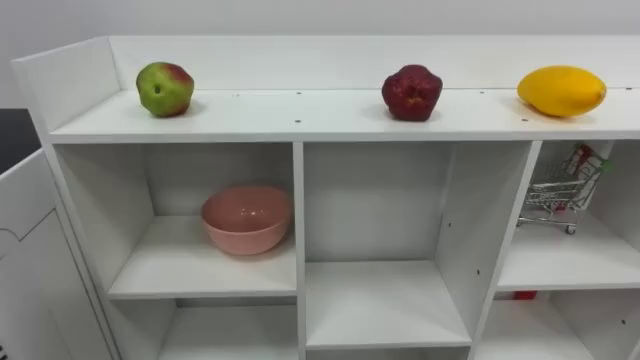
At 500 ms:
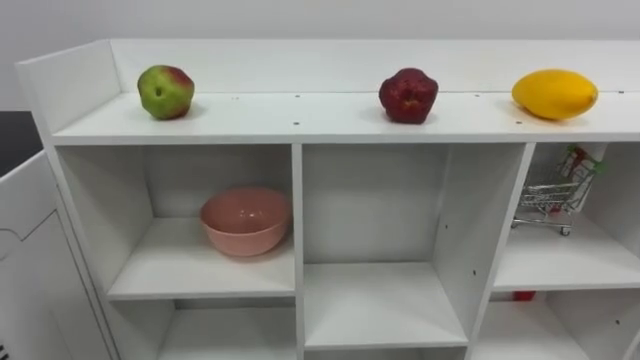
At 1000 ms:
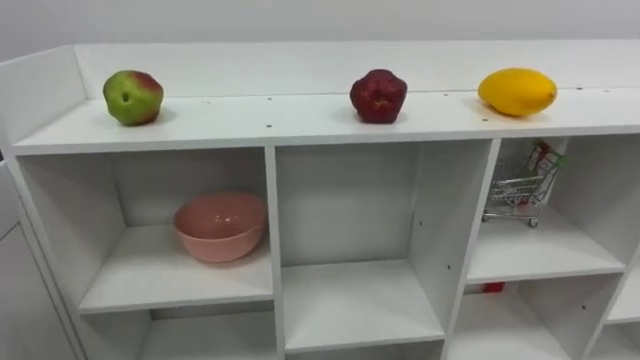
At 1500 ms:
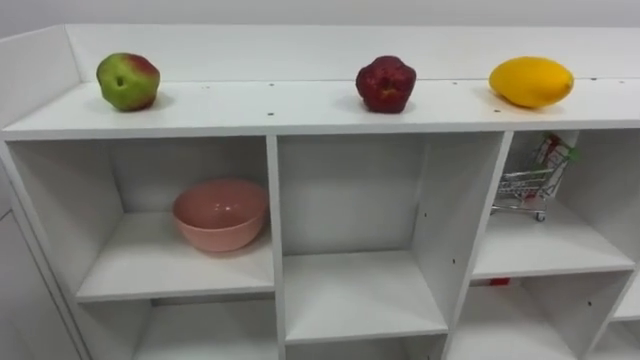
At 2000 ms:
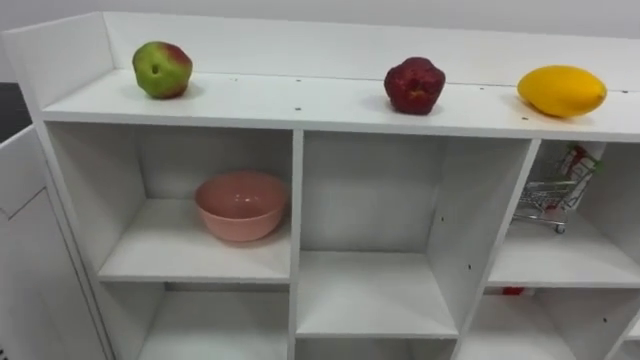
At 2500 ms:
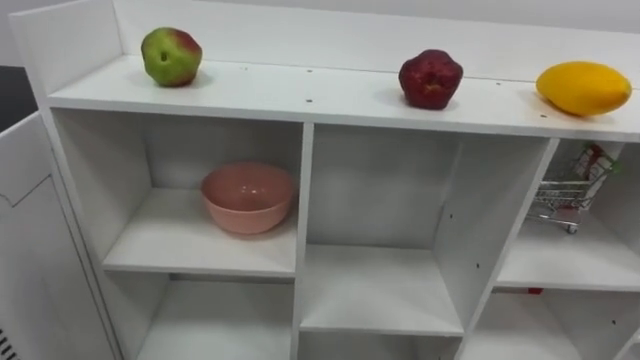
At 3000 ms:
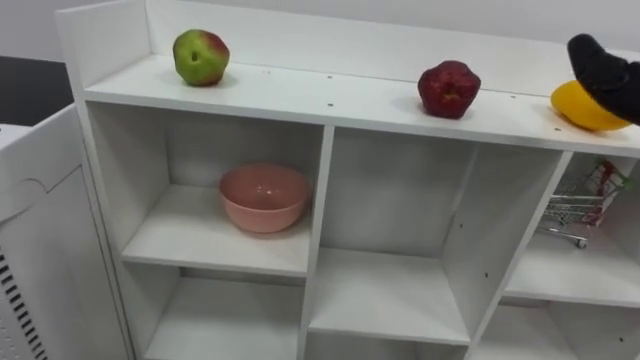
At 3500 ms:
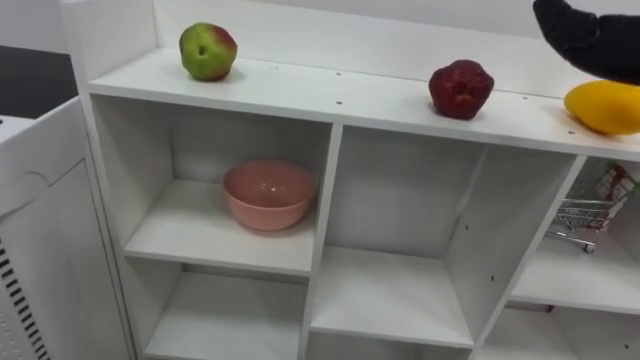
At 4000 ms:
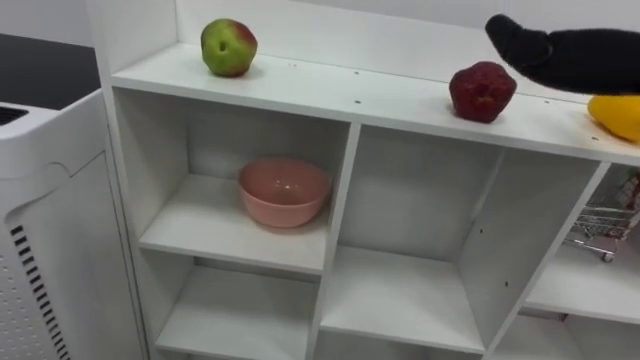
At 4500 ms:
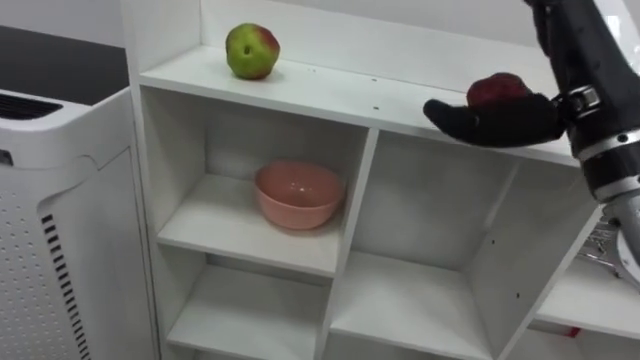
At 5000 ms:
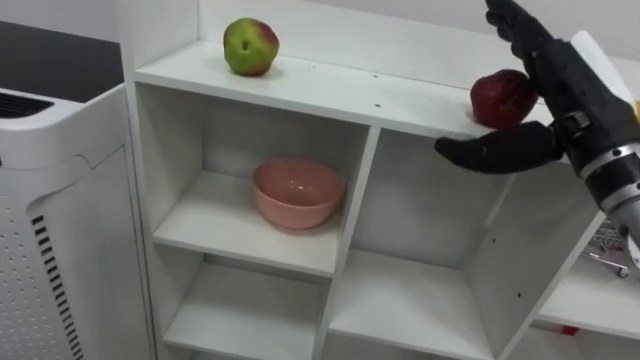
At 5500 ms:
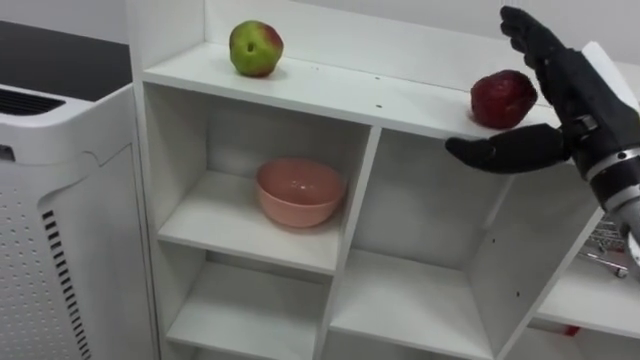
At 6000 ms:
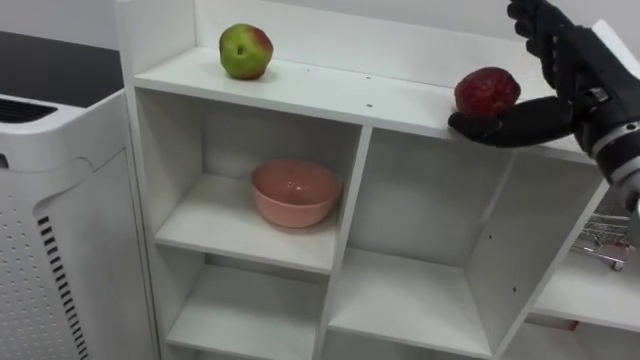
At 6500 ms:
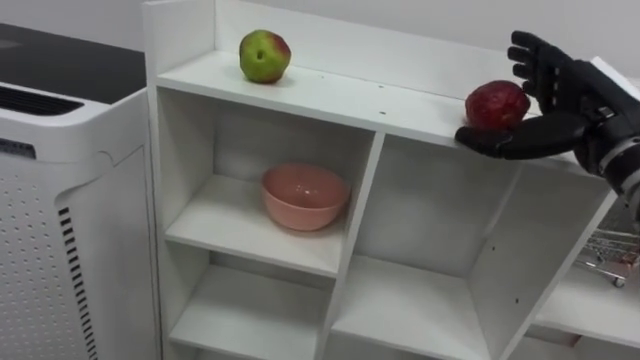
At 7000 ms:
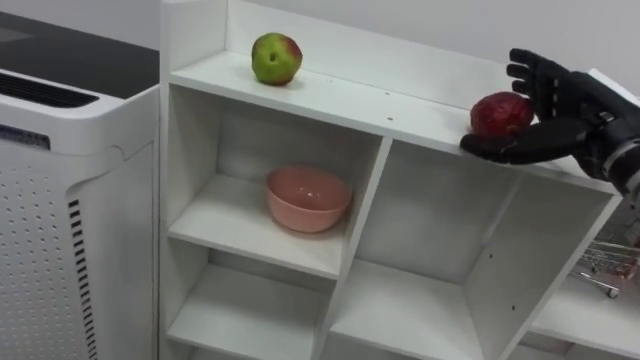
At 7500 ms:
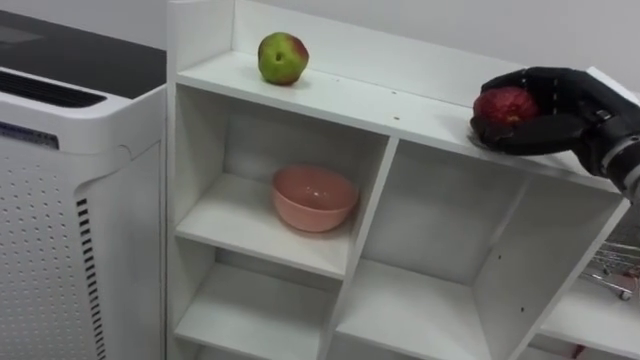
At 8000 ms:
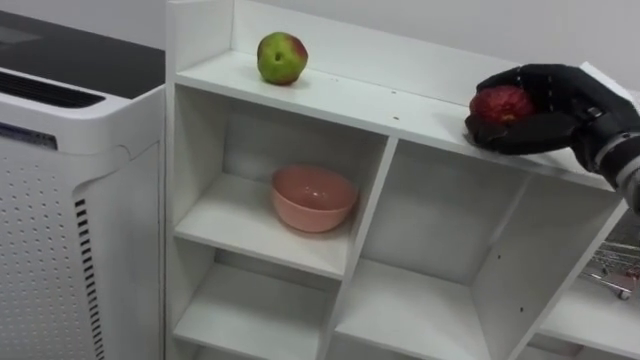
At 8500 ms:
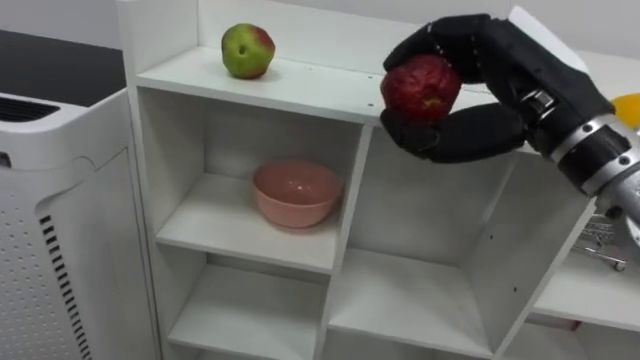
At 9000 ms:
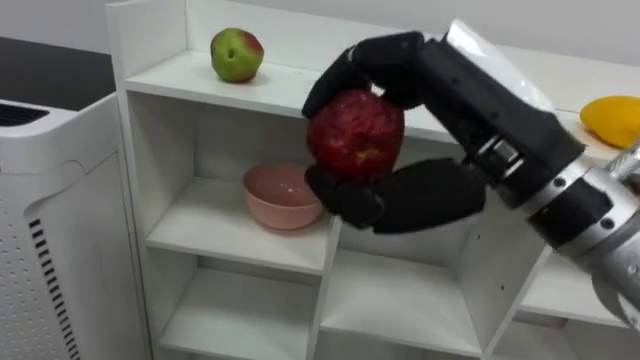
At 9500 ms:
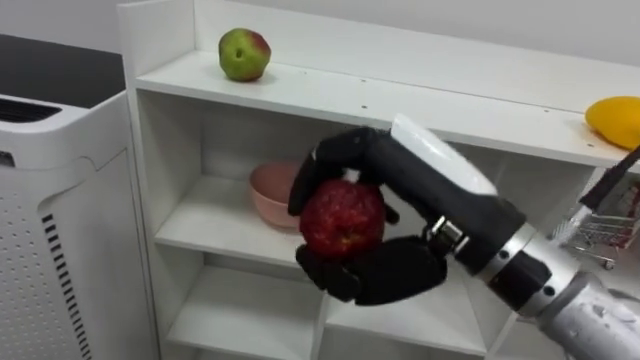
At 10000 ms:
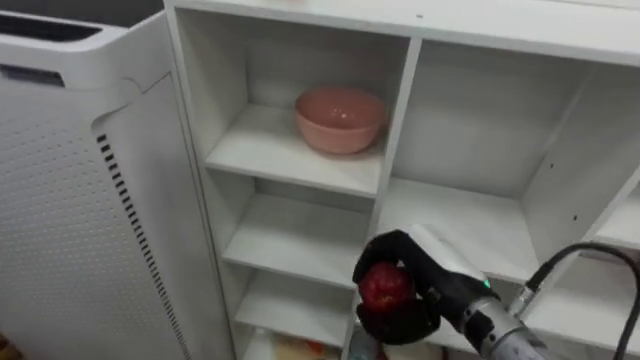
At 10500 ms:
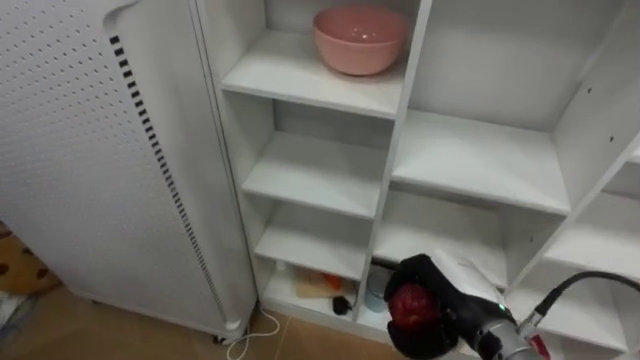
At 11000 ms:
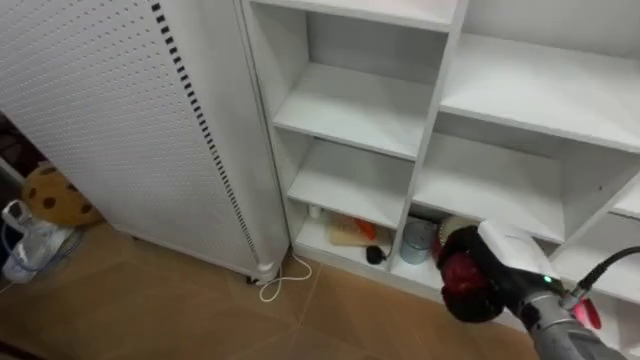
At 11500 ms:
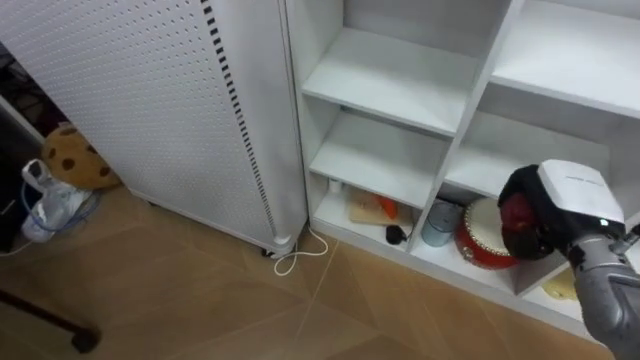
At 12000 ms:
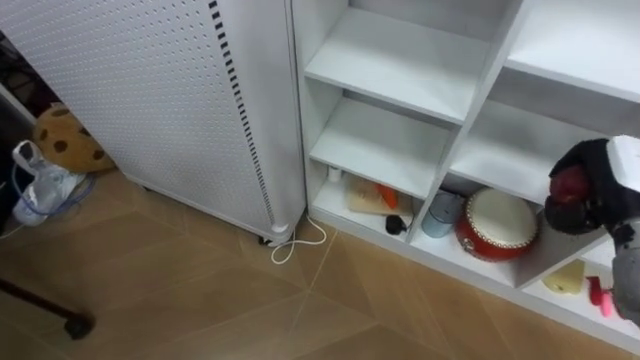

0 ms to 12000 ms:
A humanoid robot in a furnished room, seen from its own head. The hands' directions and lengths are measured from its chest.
Task of the whole recording: Put the apple in the cell in the second column from the left and the second row from the top.
6000 ms to 8000 ms: The right hand moves approximately 5 cm, and closes up.
8000 ms to 10000 ms: The right hand goes some 20 cm downward, to the left and backward.
10000 ms to 12000 ms: The right hand moves to the right, some 20 cm.

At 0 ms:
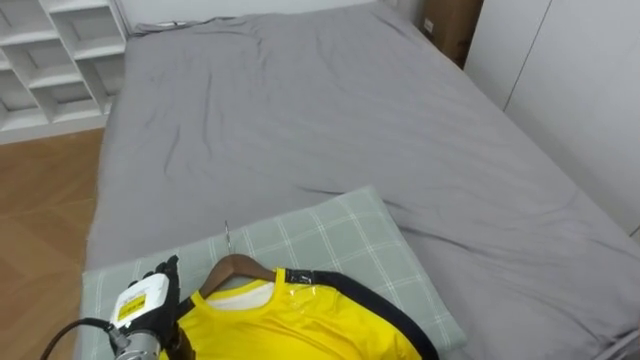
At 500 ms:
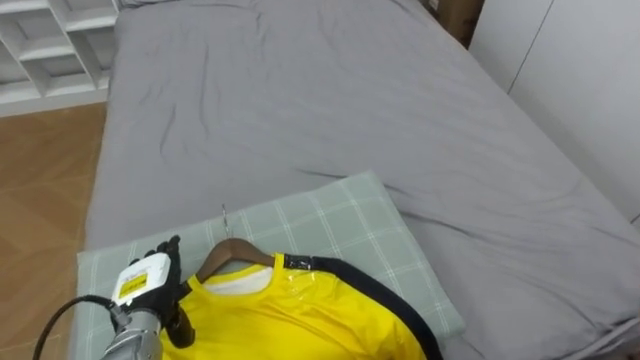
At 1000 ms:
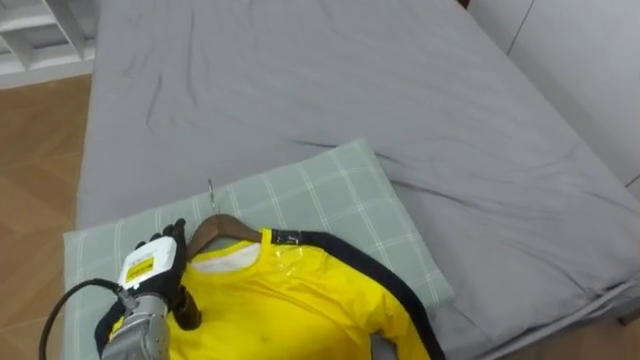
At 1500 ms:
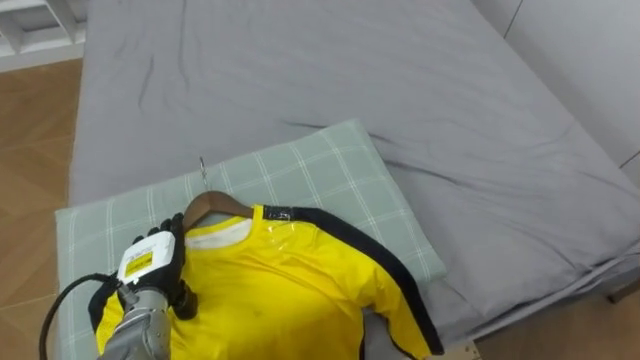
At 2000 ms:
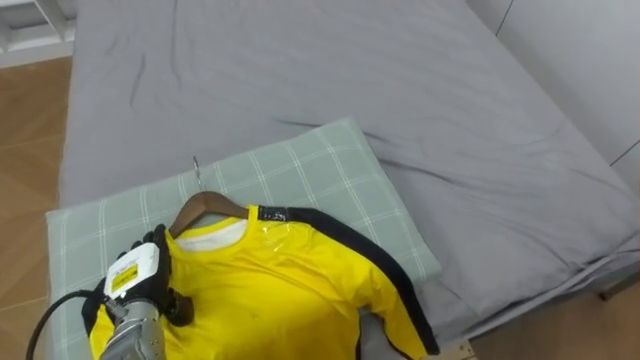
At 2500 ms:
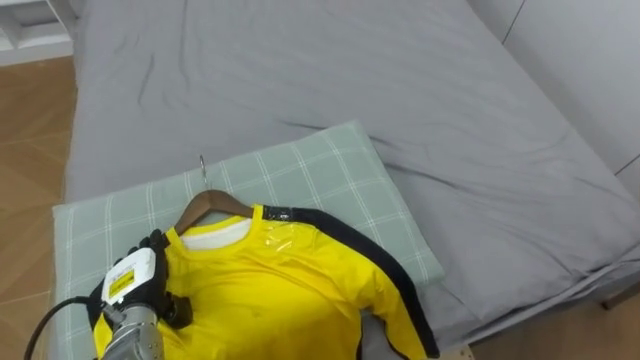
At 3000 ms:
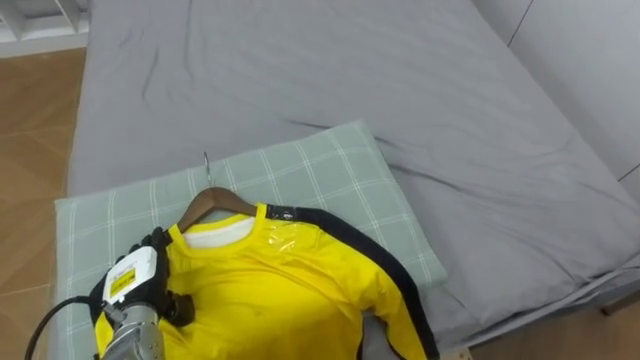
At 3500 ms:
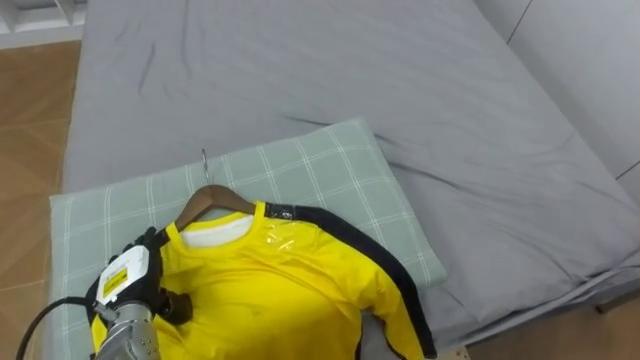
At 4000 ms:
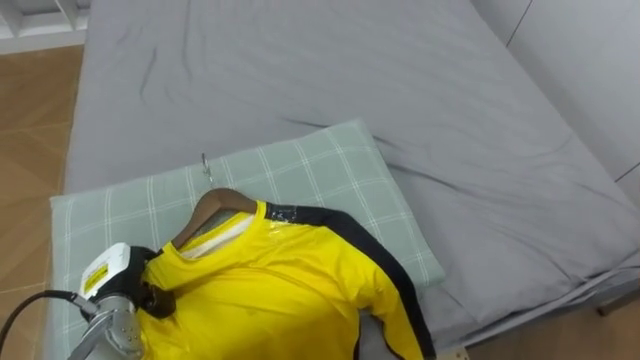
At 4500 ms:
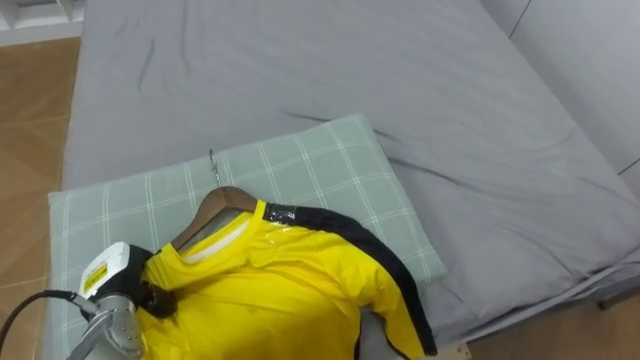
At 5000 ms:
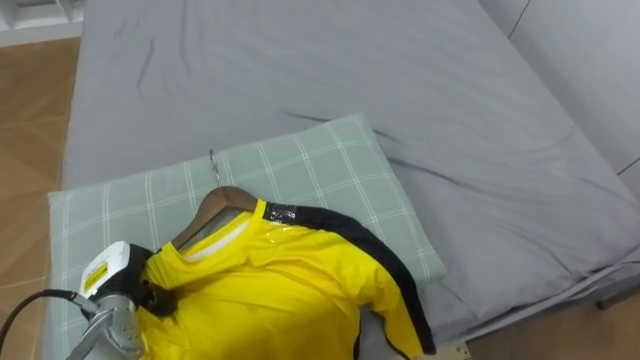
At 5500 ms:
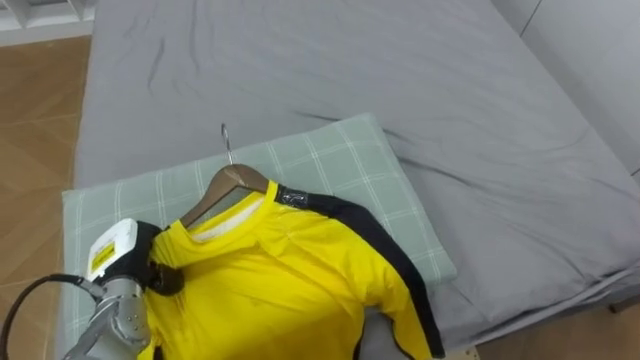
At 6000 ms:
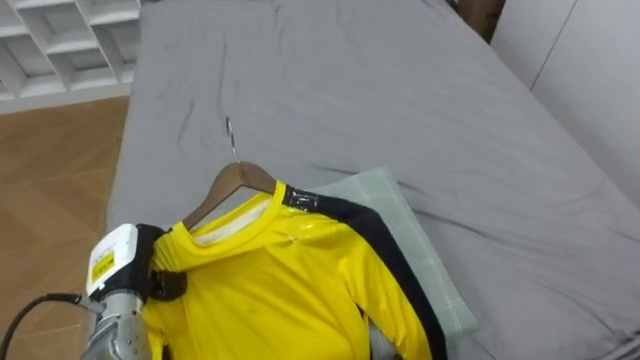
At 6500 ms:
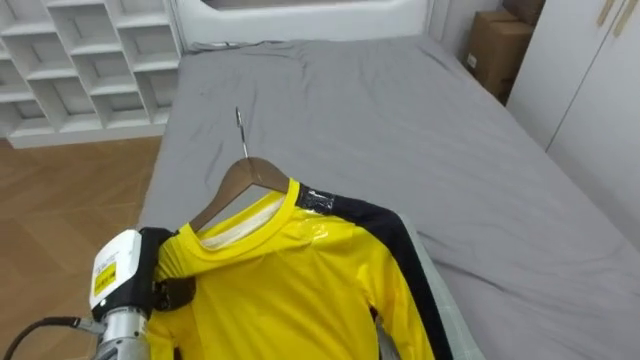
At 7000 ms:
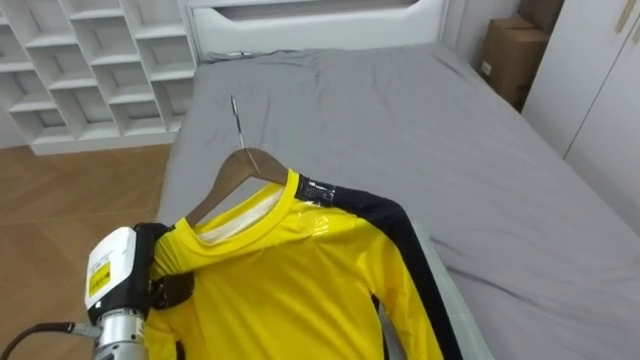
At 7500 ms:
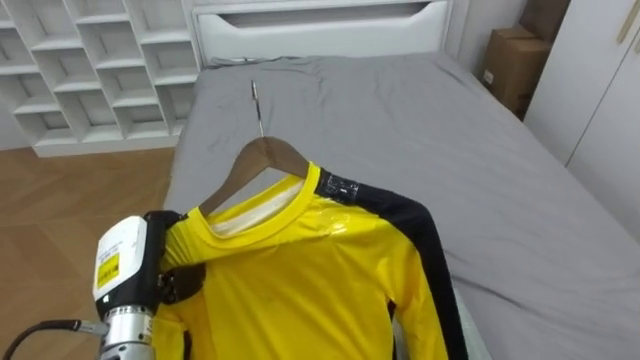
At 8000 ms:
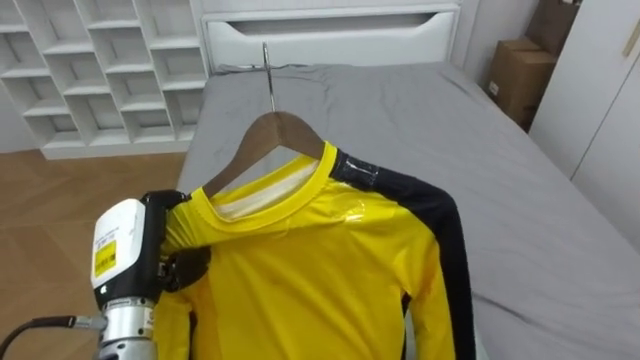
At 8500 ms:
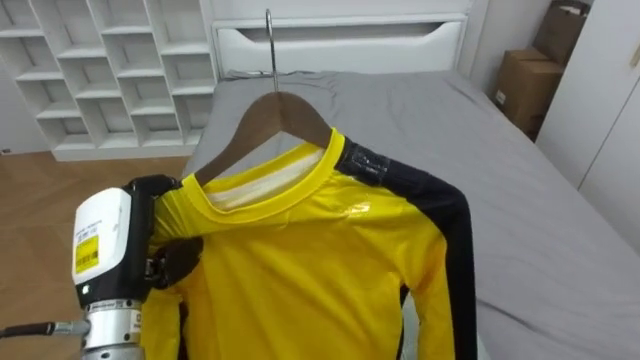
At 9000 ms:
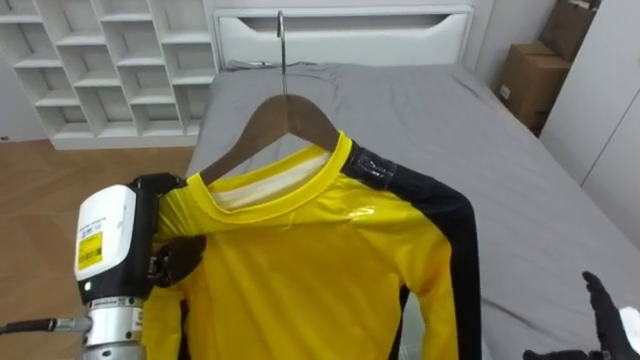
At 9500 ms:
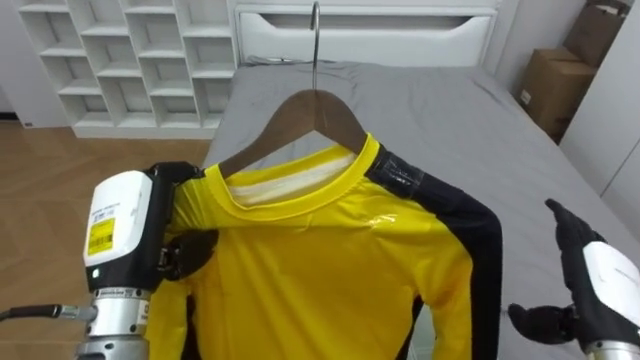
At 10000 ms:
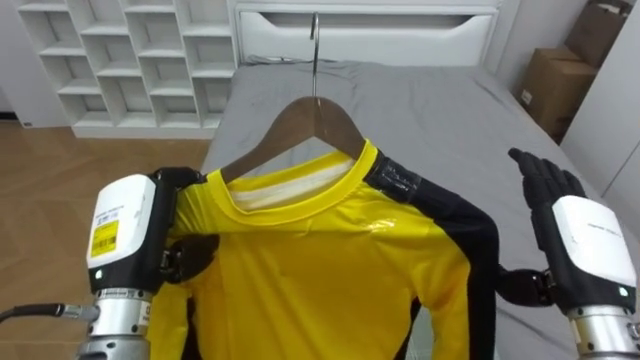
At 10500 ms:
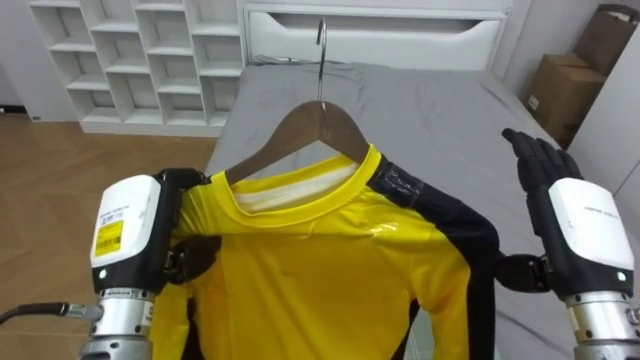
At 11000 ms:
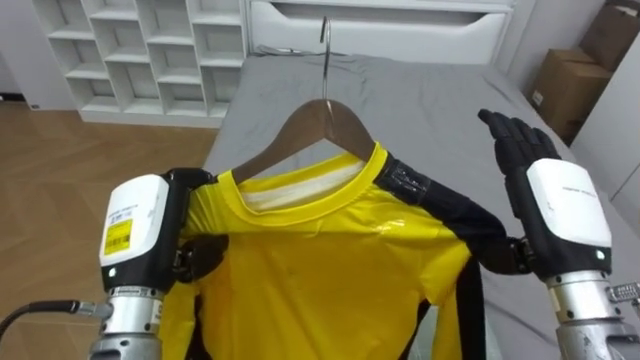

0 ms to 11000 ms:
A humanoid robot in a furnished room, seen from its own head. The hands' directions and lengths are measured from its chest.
Task of the whole recording: Pick up the yellow shirt on the bed and hang it on the clothes rack on the right.
3500 ms to 5500 ms: The left hand closes.
5500 ms to 7500 ms: The left hand moves some 10 cm.
7500 ms to 9000 ms: The left hand travels upward by approximately 5 cm.
